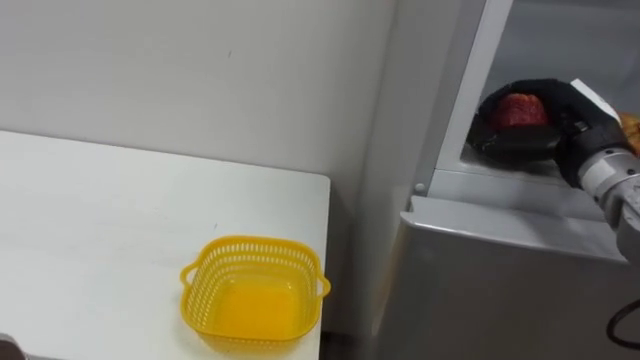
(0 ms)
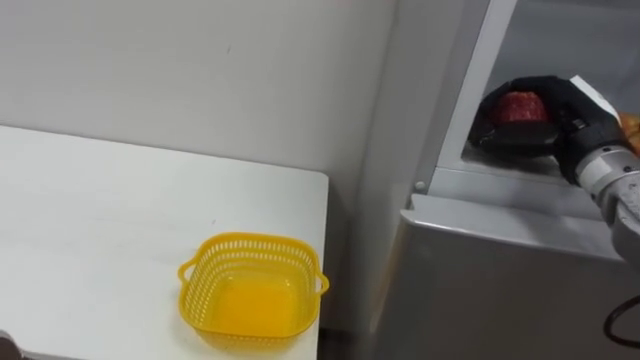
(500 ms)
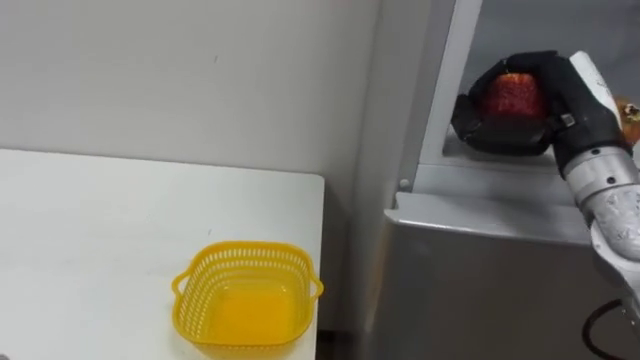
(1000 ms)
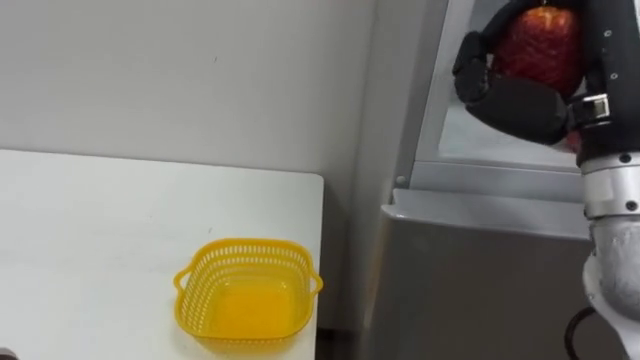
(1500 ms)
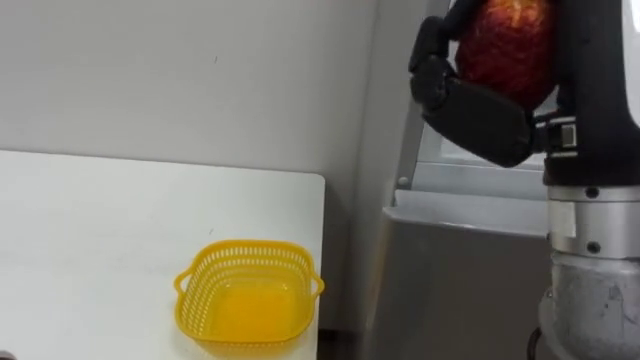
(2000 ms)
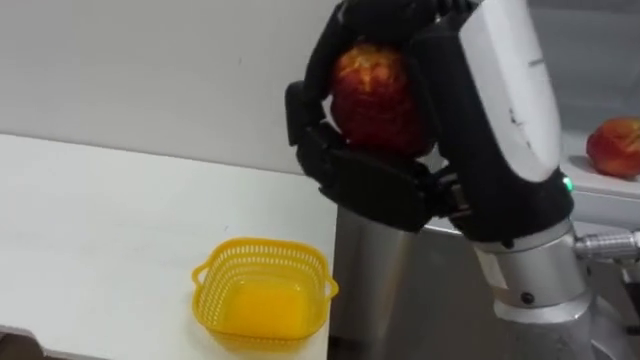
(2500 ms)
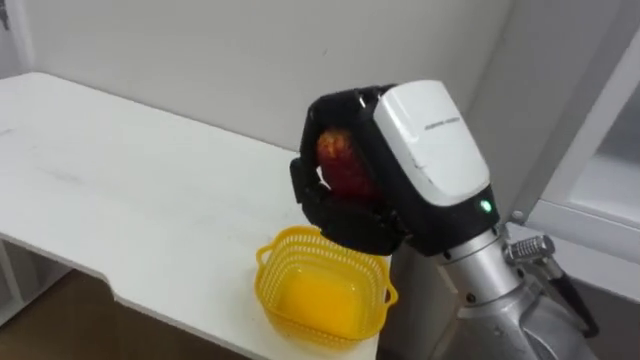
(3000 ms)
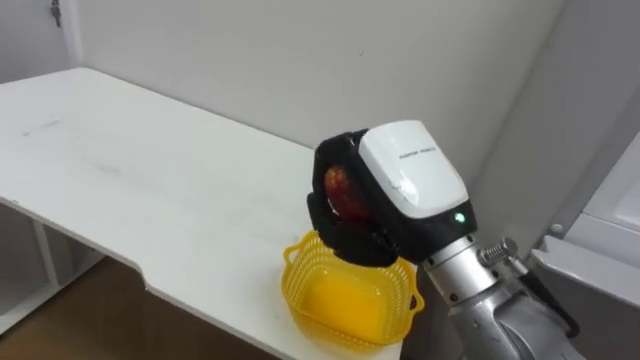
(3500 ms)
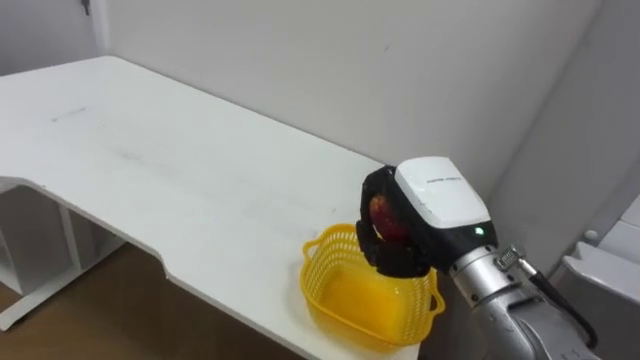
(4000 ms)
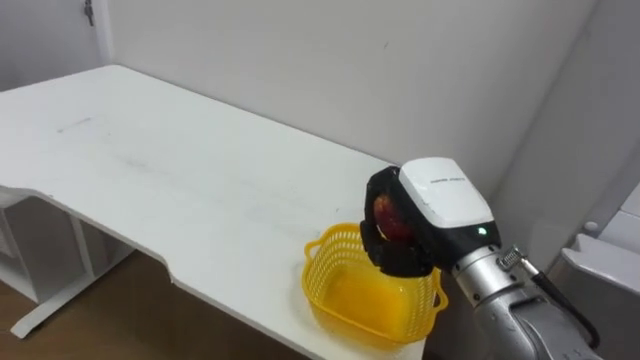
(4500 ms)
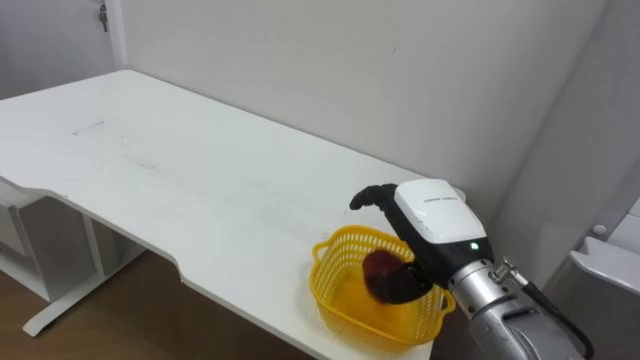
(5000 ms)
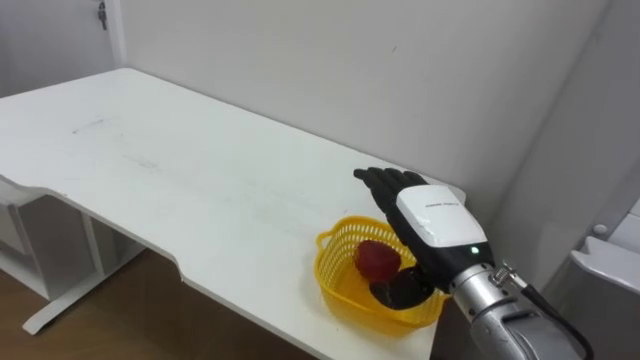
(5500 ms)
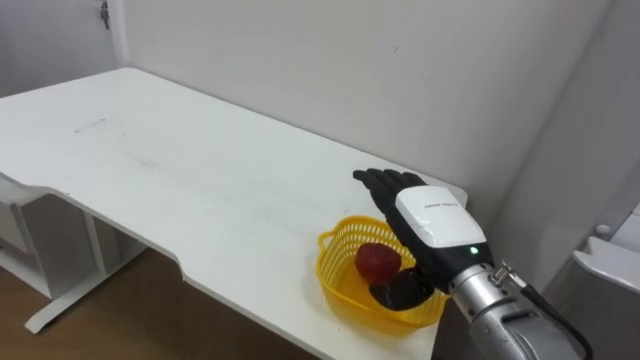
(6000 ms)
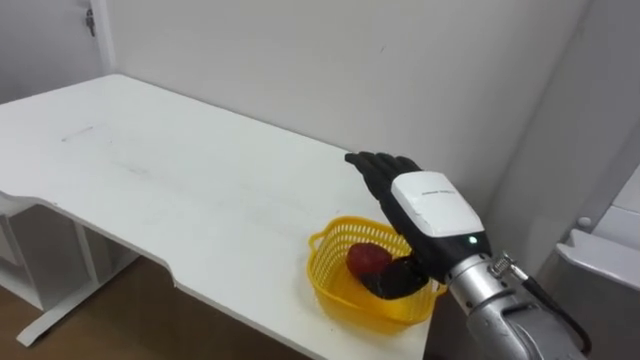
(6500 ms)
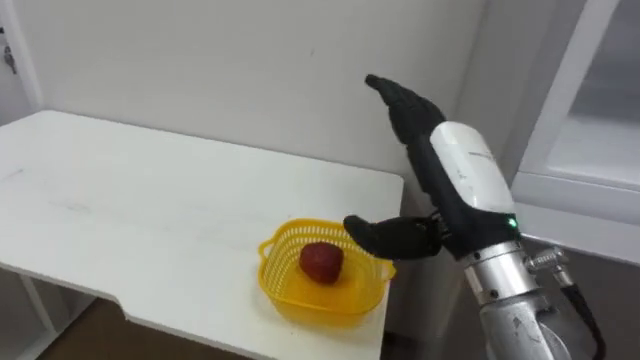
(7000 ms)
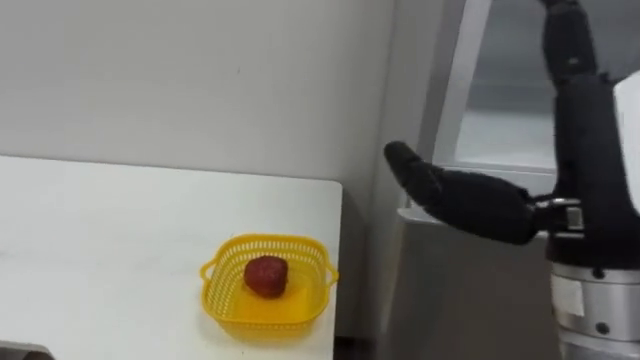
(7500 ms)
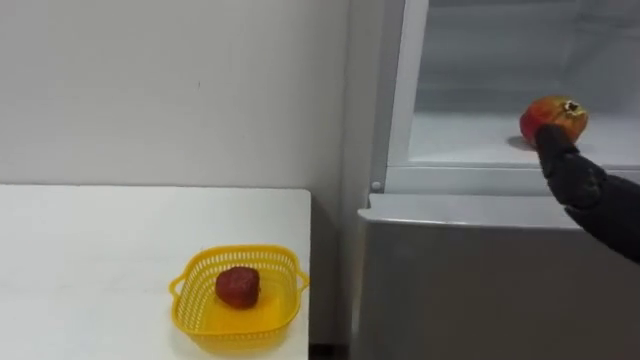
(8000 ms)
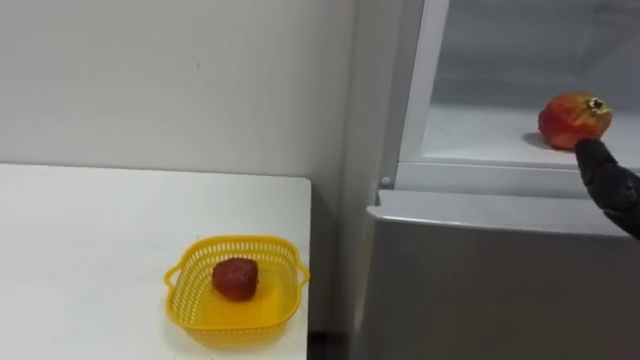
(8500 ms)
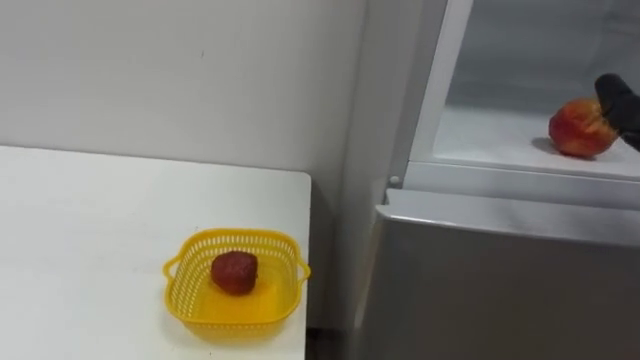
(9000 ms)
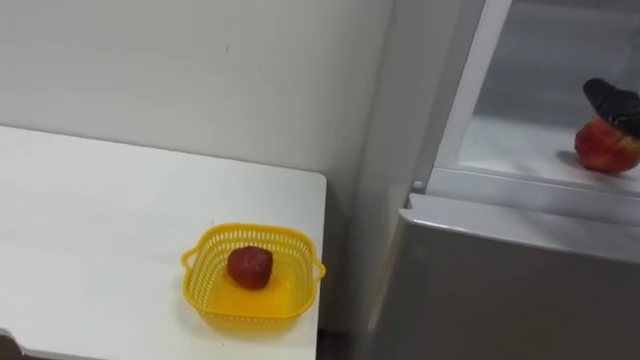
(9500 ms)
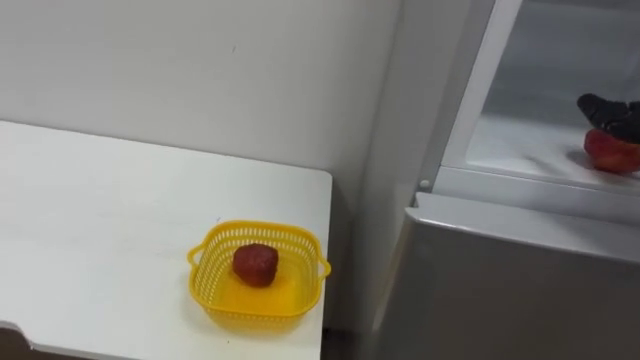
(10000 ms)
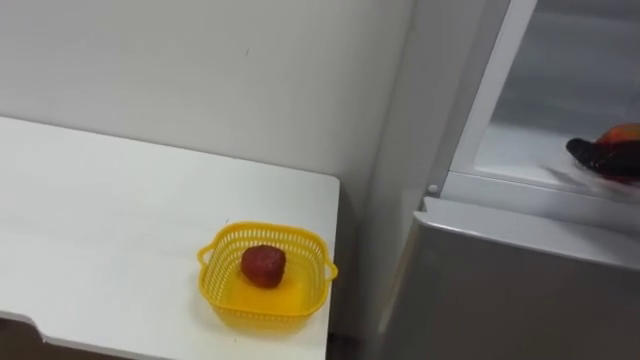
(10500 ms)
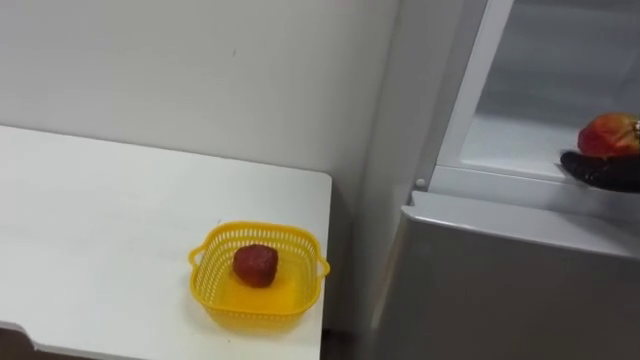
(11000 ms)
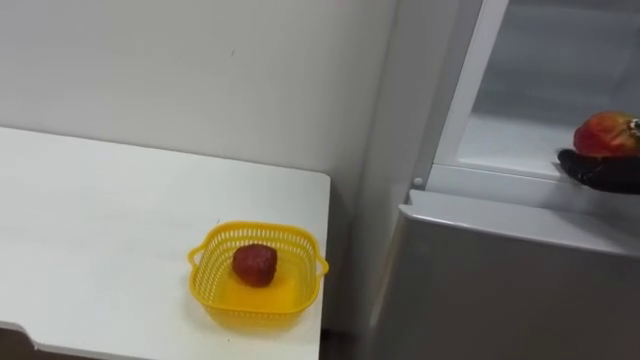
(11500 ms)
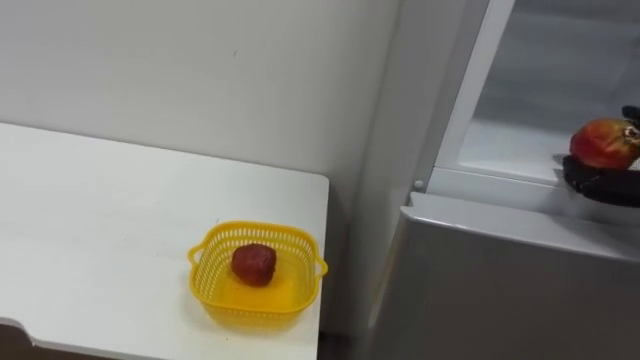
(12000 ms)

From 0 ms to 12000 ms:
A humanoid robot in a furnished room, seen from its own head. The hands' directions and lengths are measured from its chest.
Task of the whole recording: Open the refrigerator door, take out the apple and the pomegranate, place them in the fruit basket on the left, and close the refrigerator door.
From 0 ms to 2000 ms: The right hand heads backward, upward and to the left, covering some 20 cm.
From 2000 ms to 4000 ms: The right hand travels downward and forward by approximately 20 cm.
From 4000 ms to 6000 ms: The right hand opens.

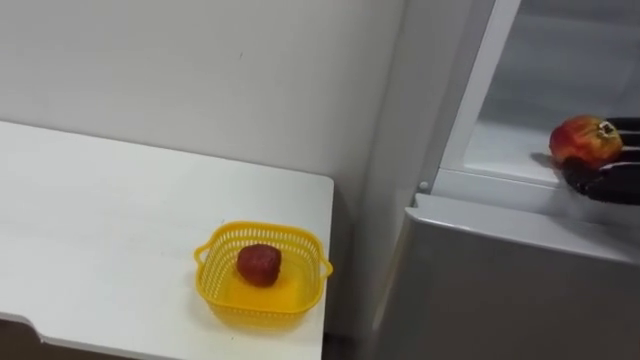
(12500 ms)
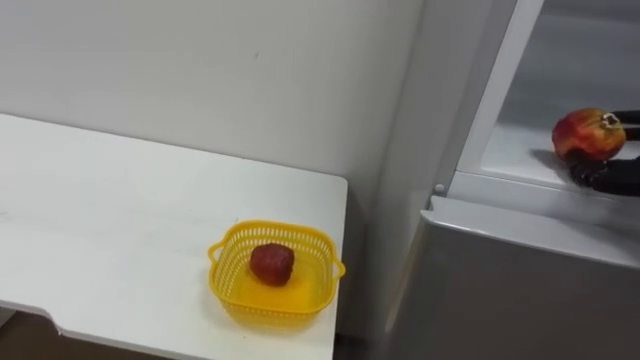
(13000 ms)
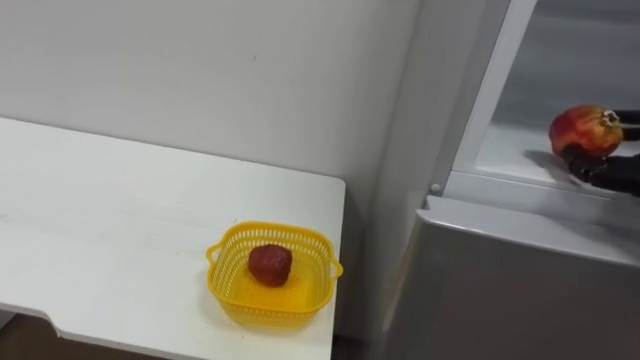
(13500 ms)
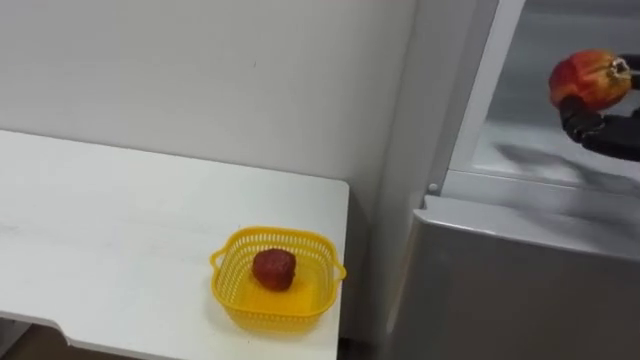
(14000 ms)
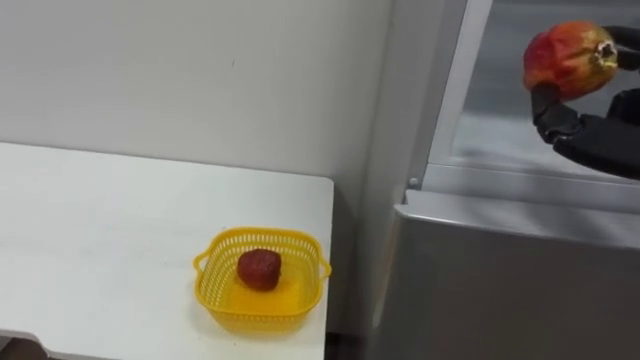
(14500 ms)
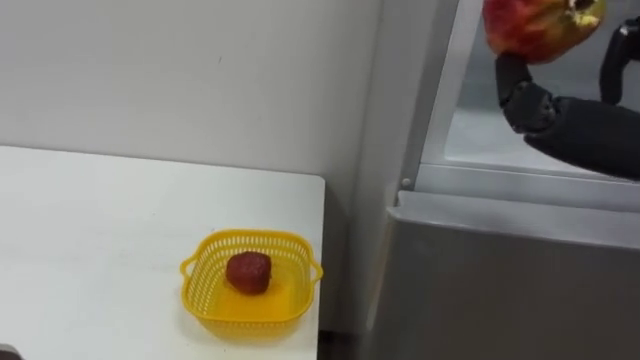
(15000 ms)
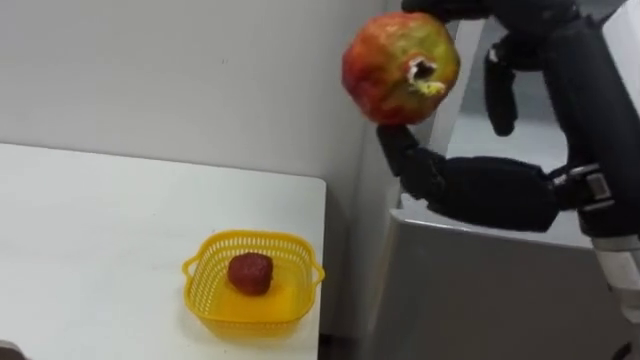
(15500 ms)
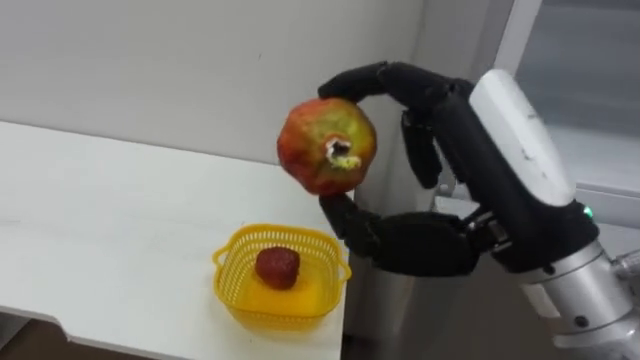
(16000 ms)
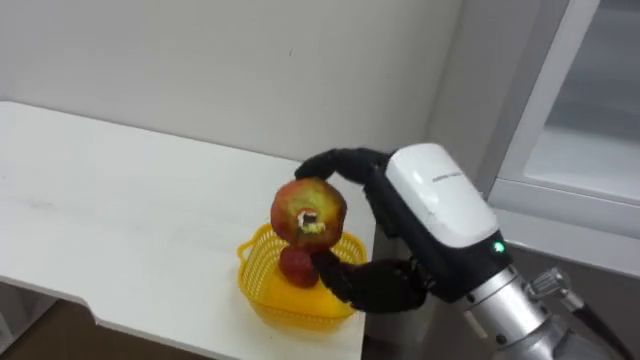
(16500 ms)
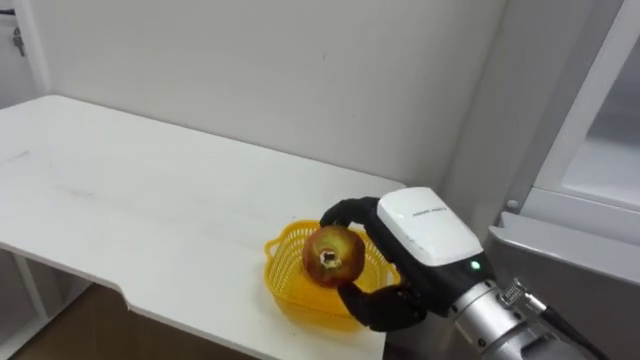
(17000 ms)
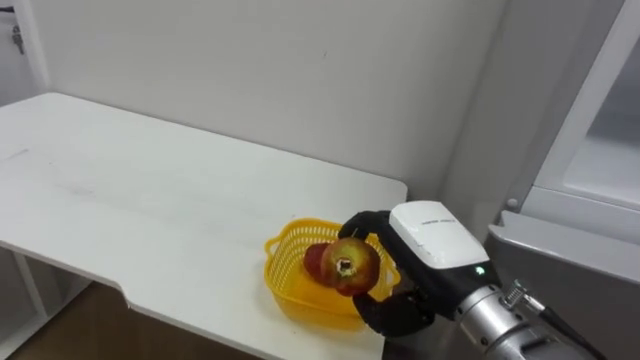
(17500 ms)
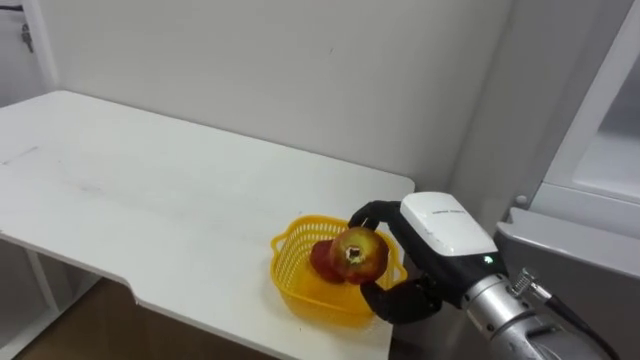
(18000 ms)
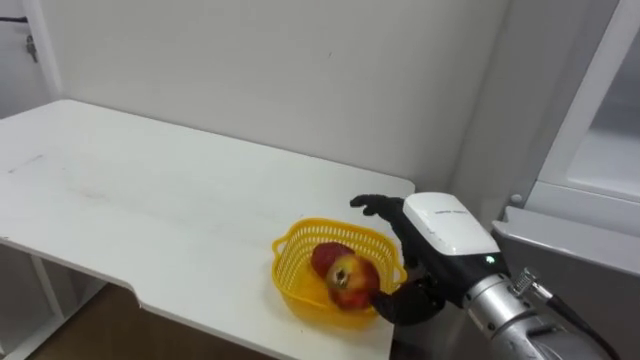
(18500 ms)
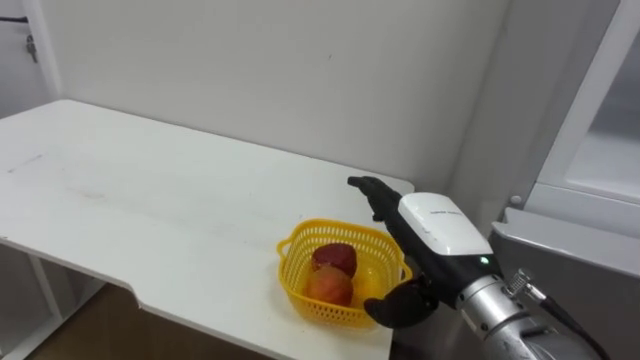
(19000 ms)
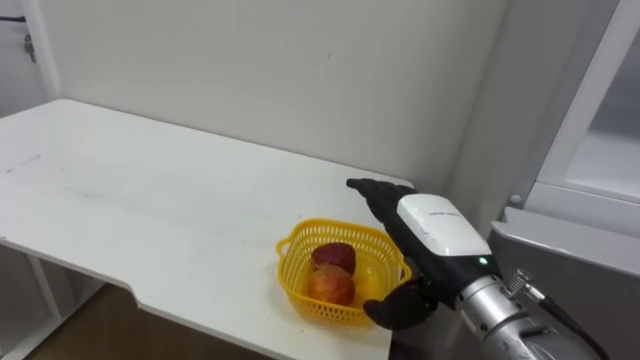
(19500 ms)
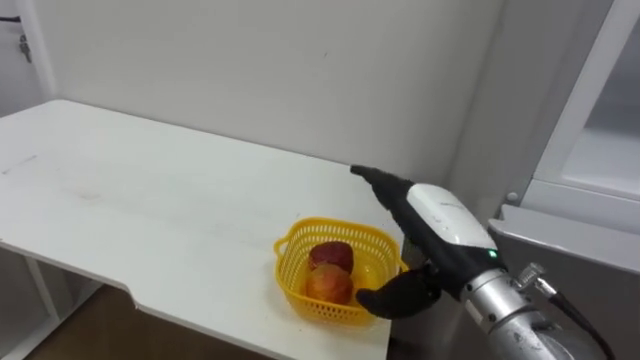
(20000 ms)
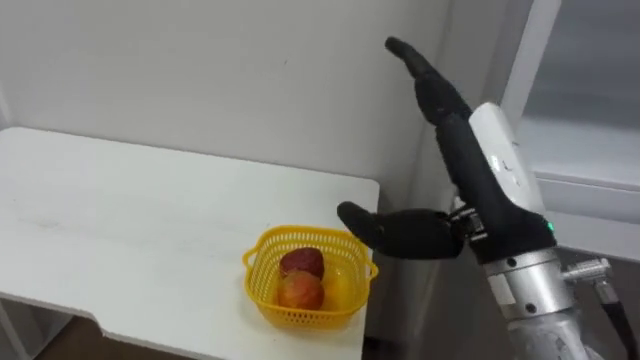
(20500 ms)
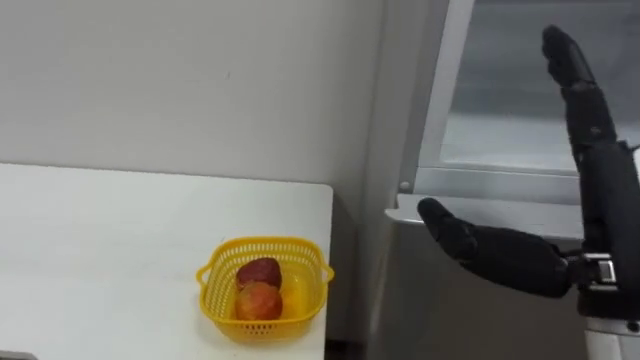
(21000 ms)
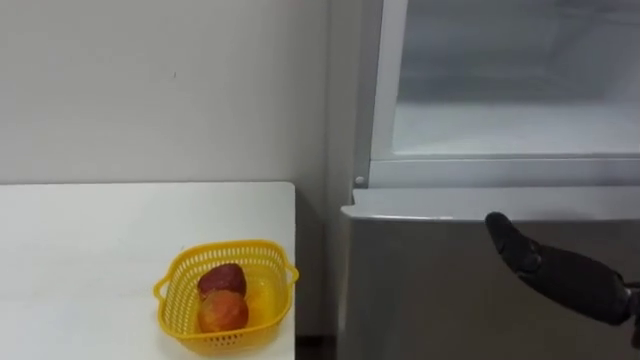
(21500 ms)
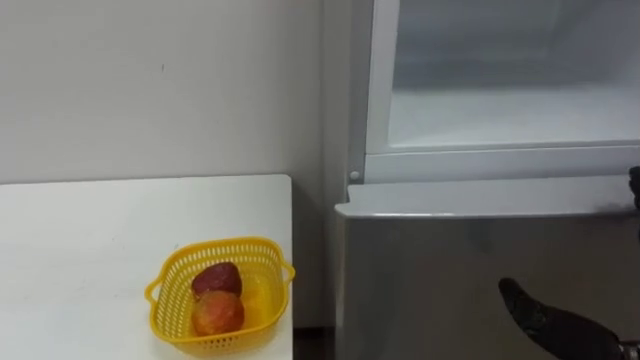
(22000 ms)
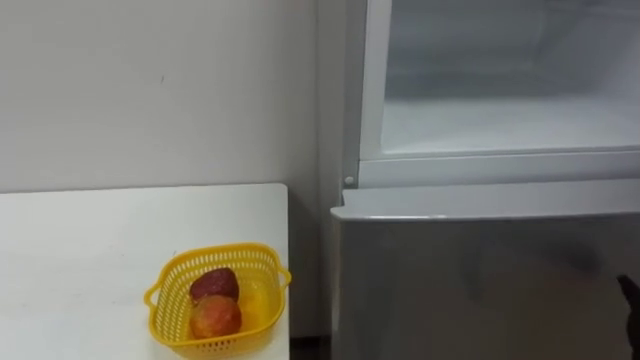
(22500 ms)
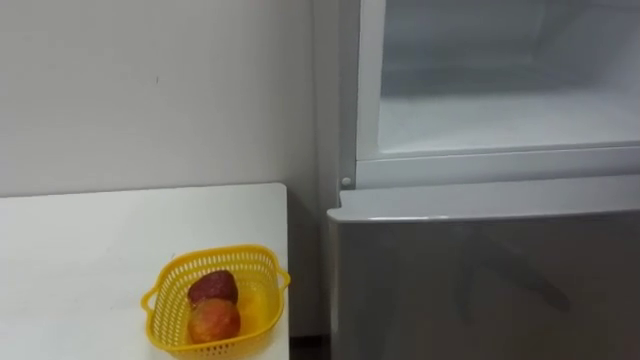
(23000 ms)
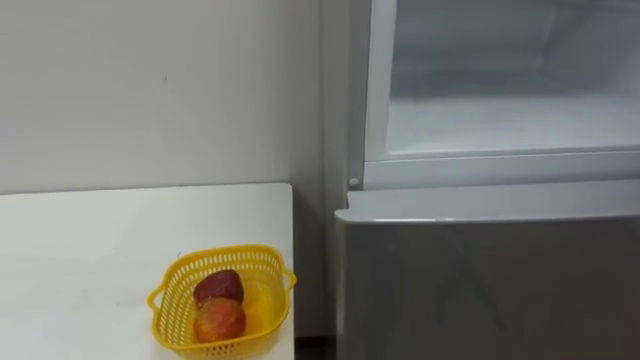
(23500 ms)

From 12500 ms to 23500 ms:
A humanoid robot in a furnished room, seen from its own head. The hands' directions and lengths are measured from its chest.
Task of the whole recording: Open the refrigerator door, take out the apple and the pomegranate, place them in the fruit basket on the left, and close the refrigerator door.
From 16000 ms to 18000 ms: The right hand travels downward and forward by some 15 cm.
From 18000 ms to 20000 ms: The right hand opens its fingers.
